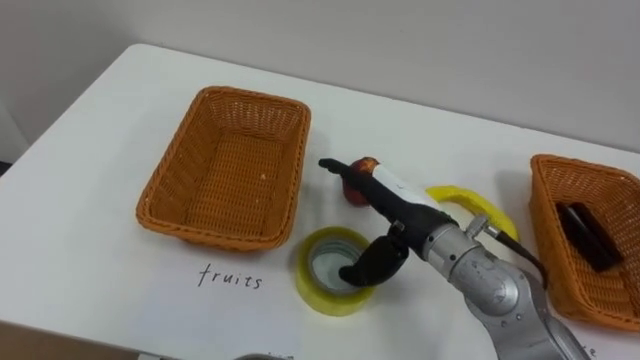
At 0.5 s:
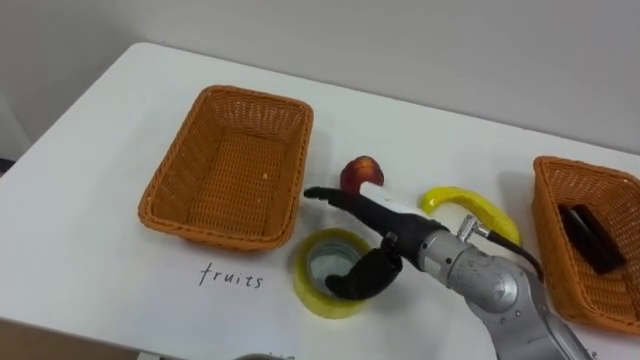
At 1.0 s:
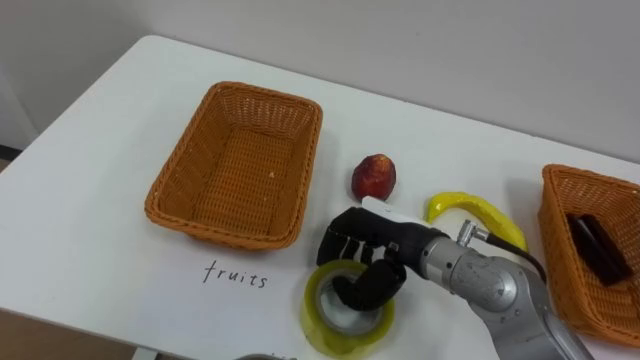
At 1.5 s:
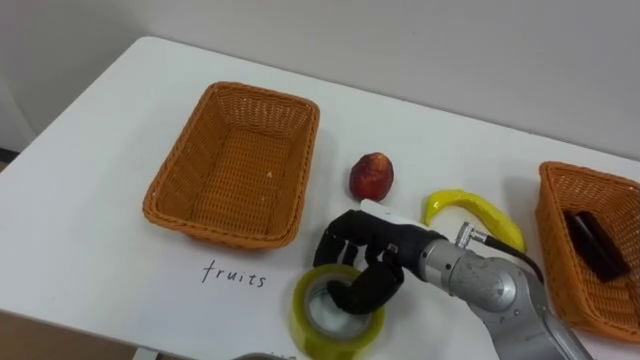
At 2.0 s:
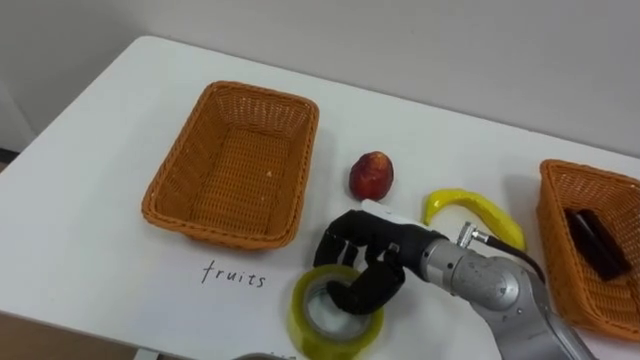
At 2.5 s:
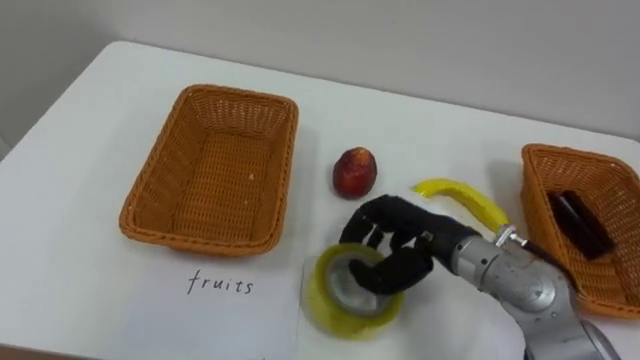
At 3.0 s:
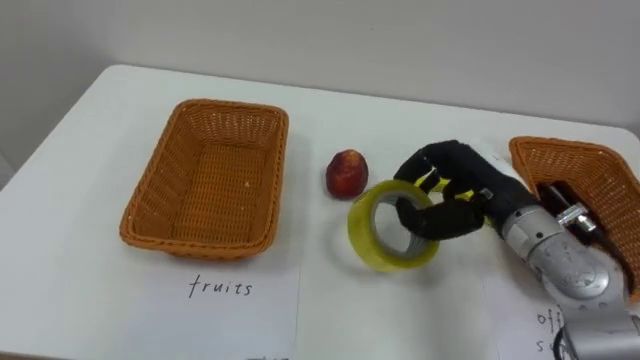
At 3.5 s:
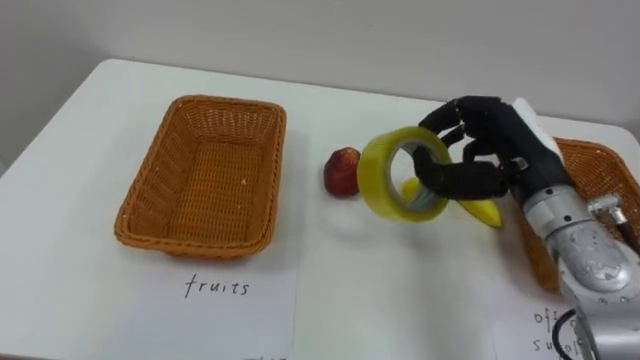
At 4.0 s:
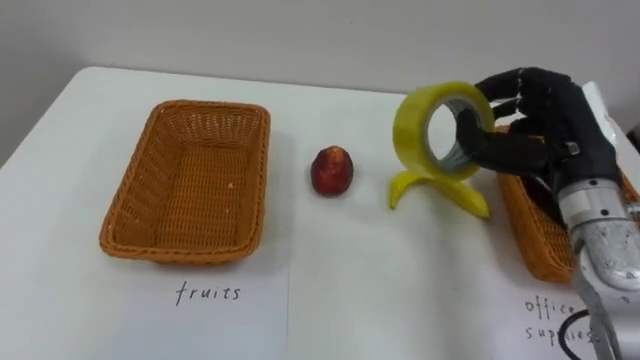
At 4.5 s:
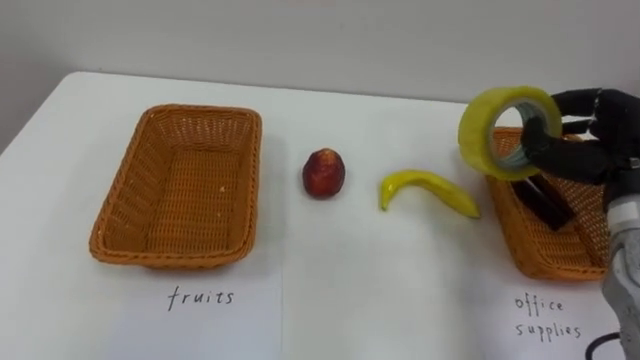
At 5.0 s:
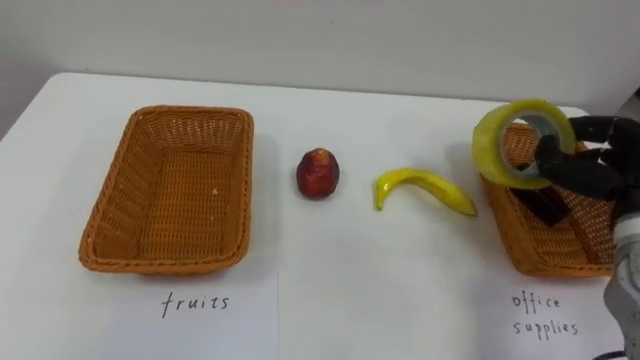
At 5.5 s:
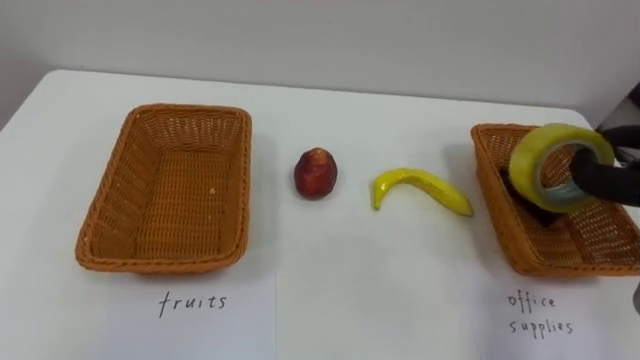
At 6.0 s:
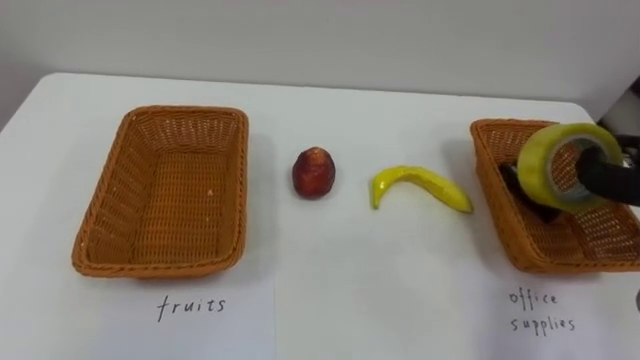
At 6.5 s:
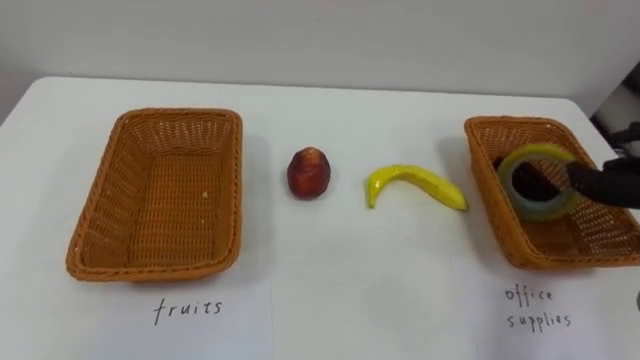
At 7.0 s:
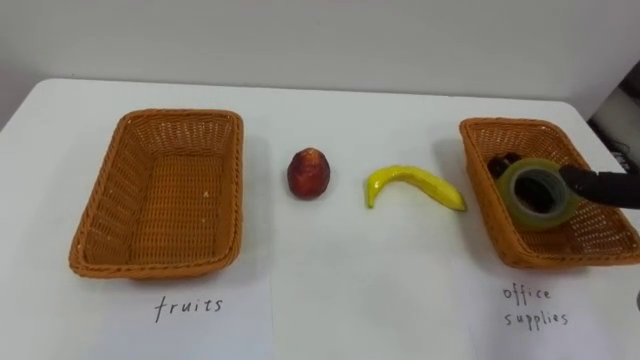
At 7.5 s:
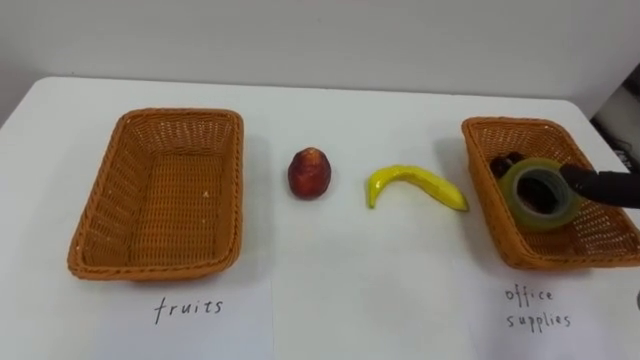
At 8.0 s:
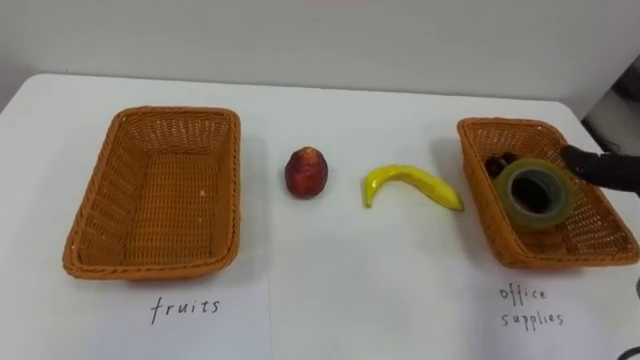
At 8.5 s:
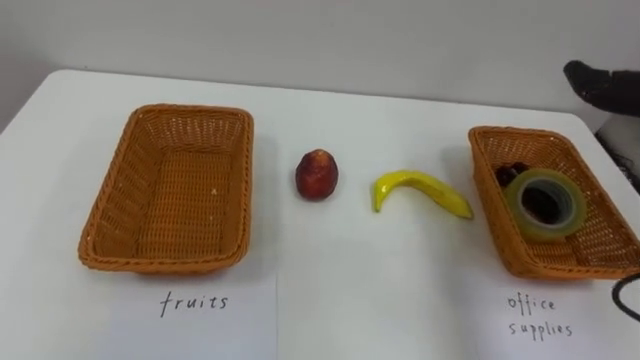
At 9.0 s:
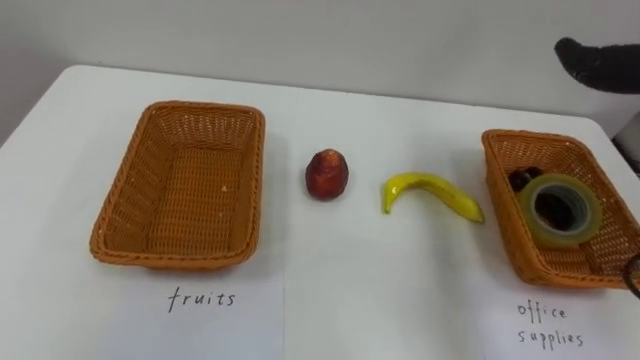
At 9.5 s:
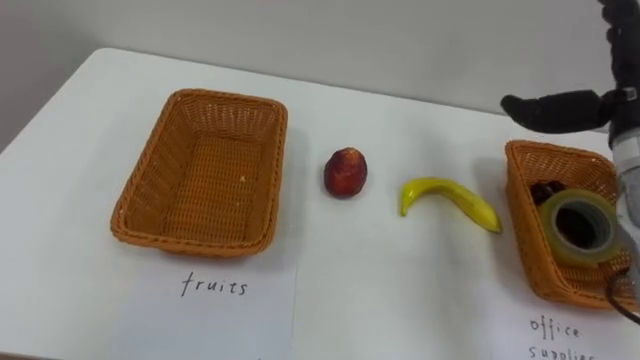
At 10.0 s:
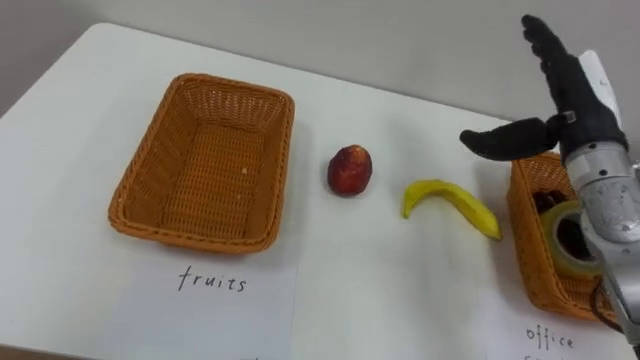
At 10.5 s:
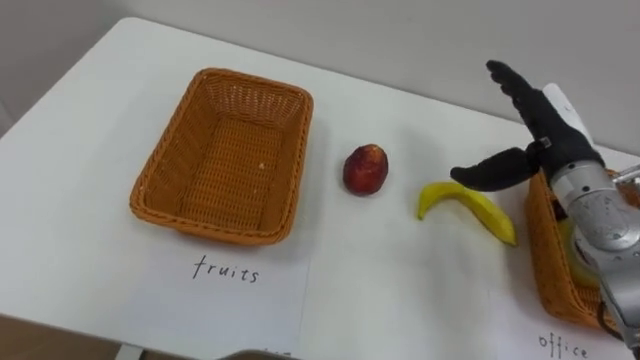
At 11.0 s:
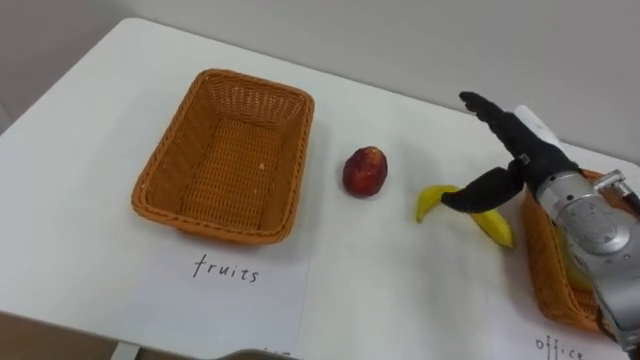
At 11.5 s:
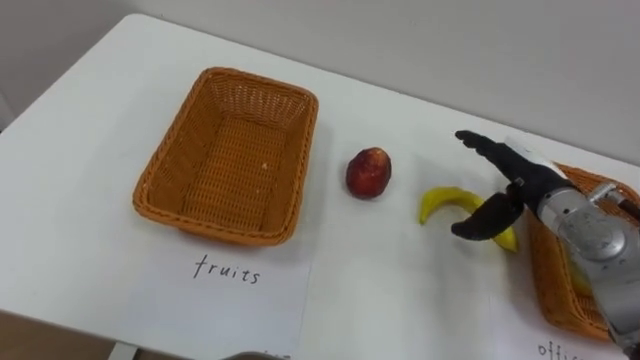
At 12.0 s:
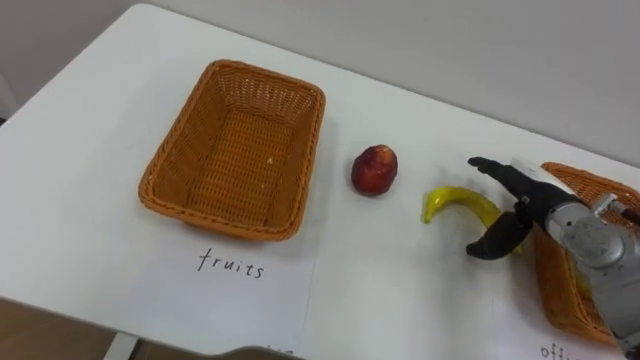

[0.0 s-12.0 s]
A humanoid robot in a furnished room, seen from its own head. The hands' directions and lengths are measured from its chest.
Task of the whole recording: Separate the items on the table and place them into the two baskets.
0.0 to 2.0 s: The right hand closes.
2.0 to 4.0 s: The right hand is displaced to the right and upward by some 20 cm.
10.0 to 12.0 s: The right hand moves downward, some 15 cm.

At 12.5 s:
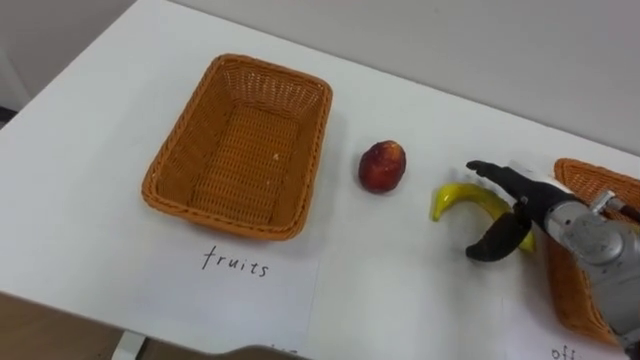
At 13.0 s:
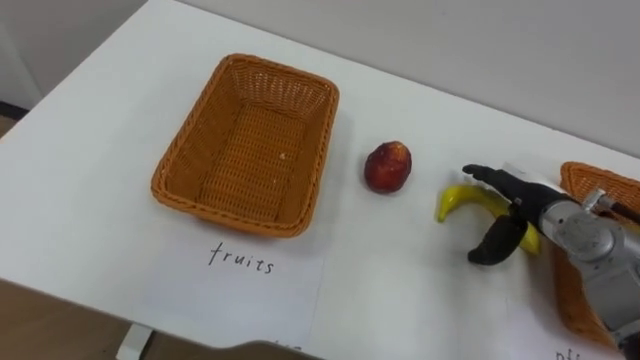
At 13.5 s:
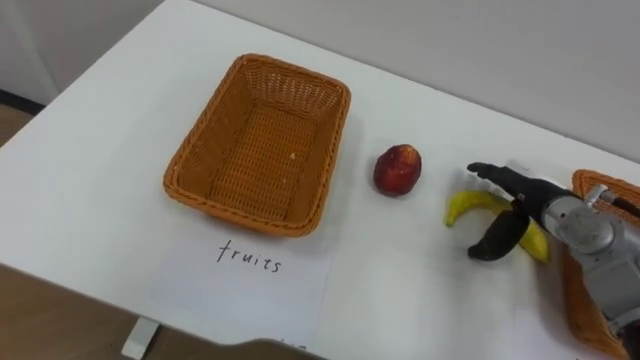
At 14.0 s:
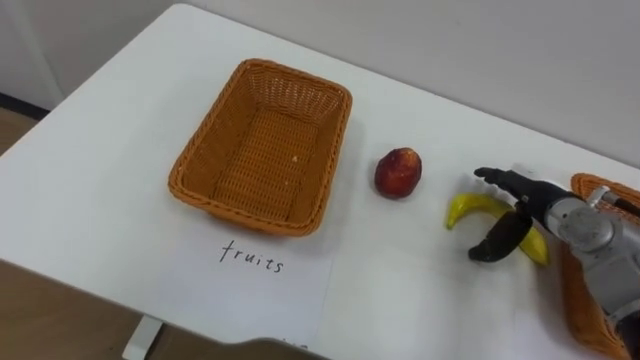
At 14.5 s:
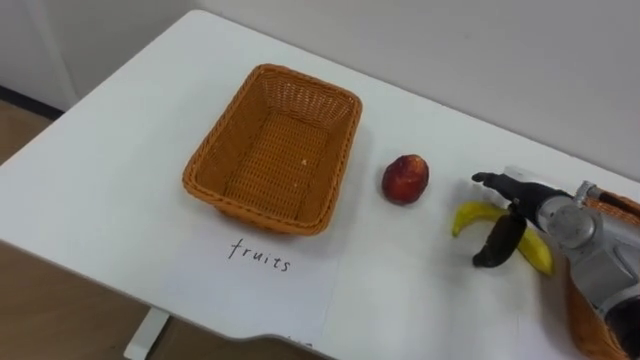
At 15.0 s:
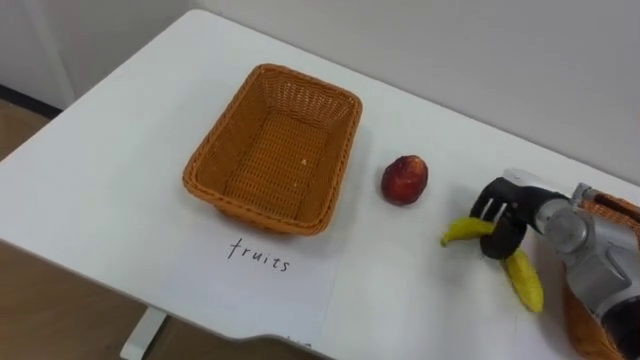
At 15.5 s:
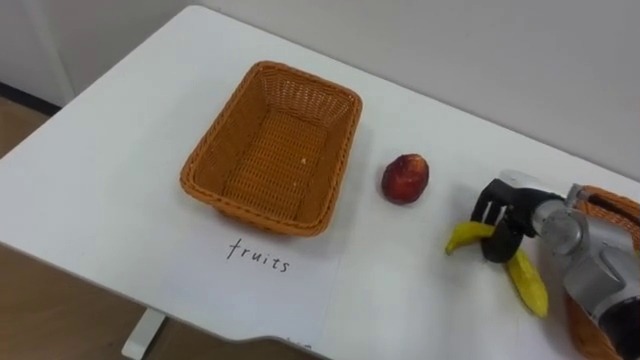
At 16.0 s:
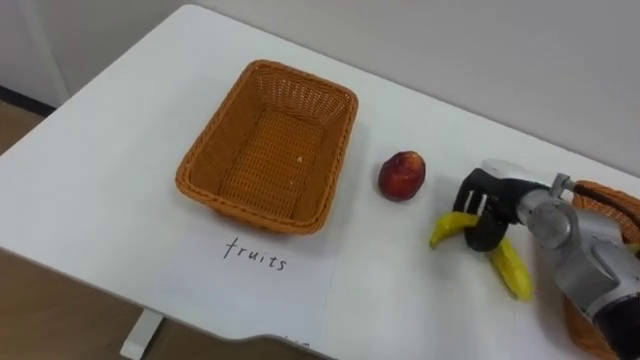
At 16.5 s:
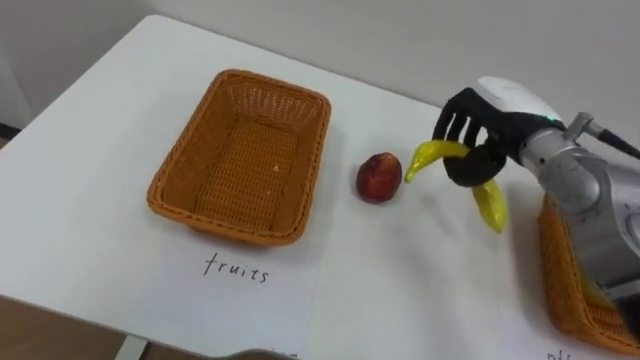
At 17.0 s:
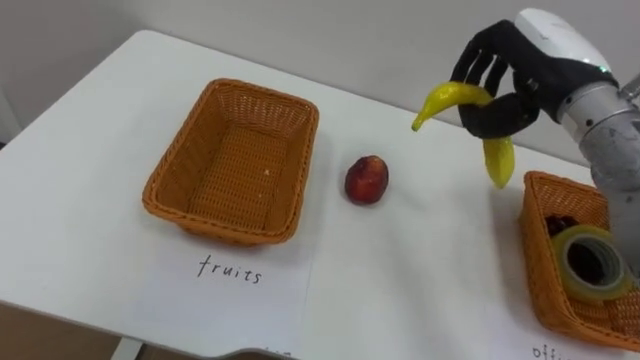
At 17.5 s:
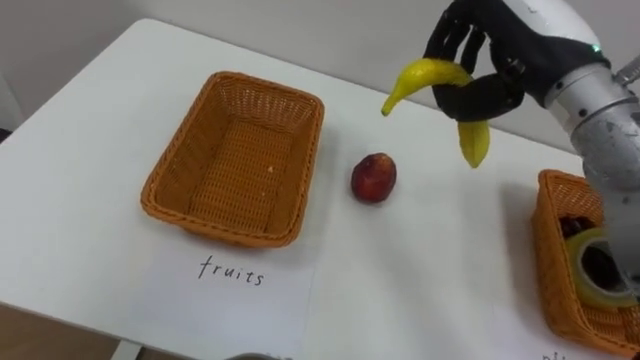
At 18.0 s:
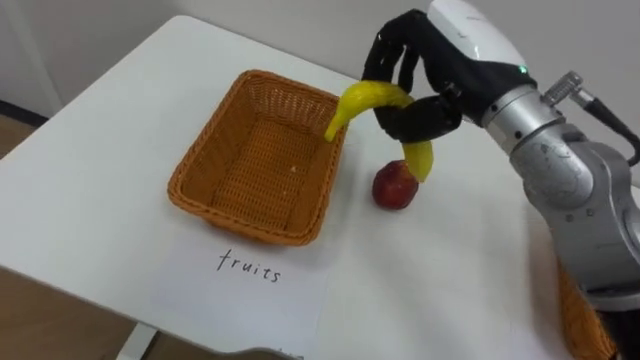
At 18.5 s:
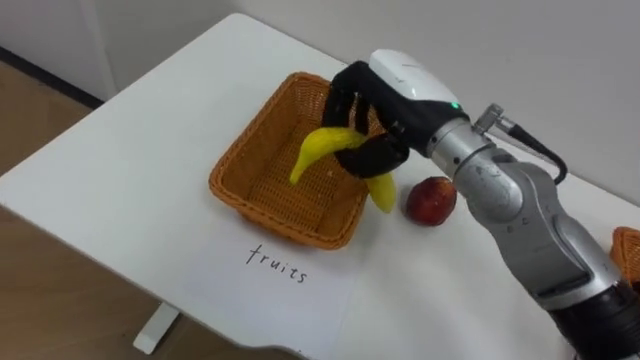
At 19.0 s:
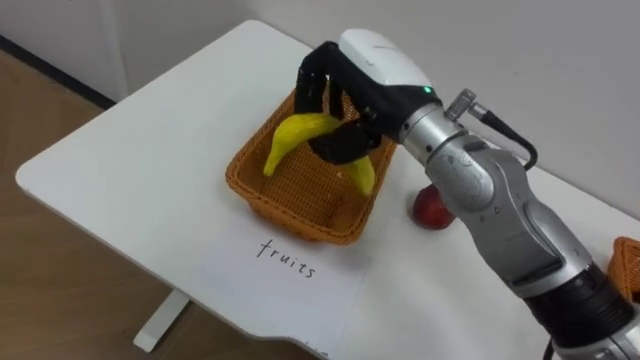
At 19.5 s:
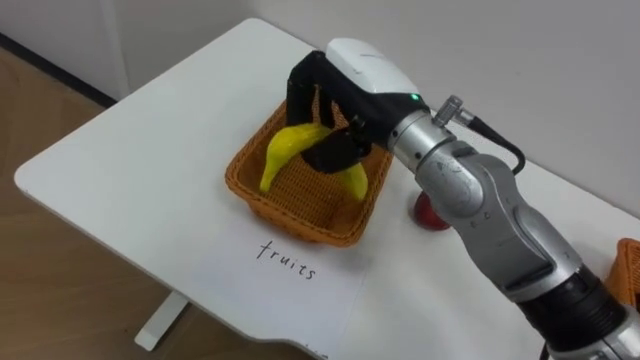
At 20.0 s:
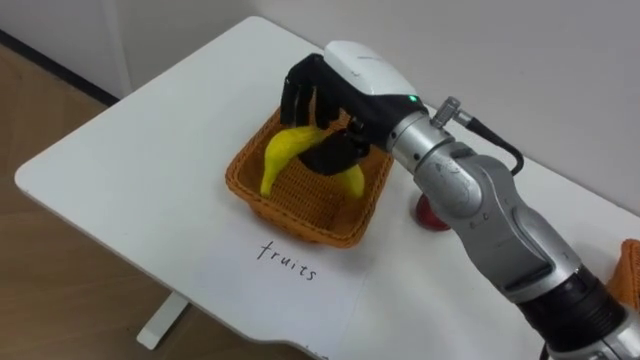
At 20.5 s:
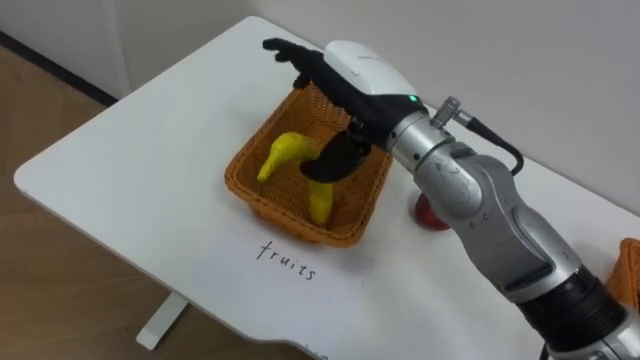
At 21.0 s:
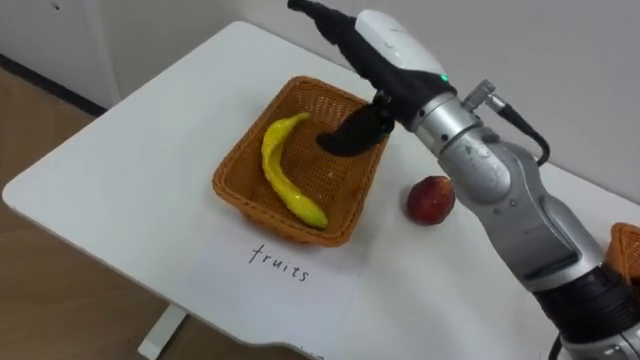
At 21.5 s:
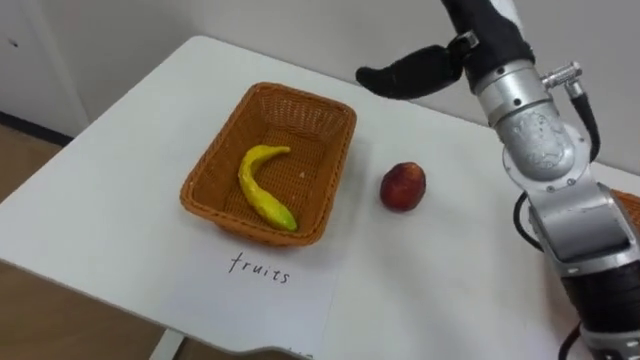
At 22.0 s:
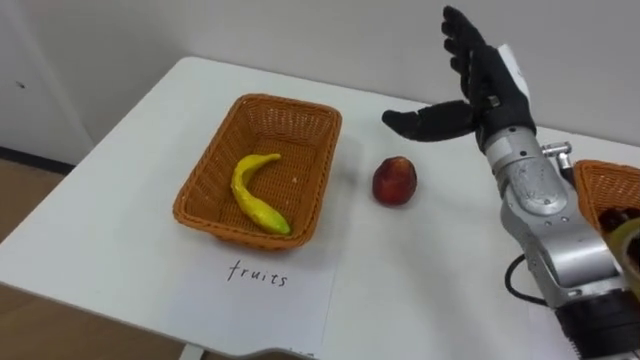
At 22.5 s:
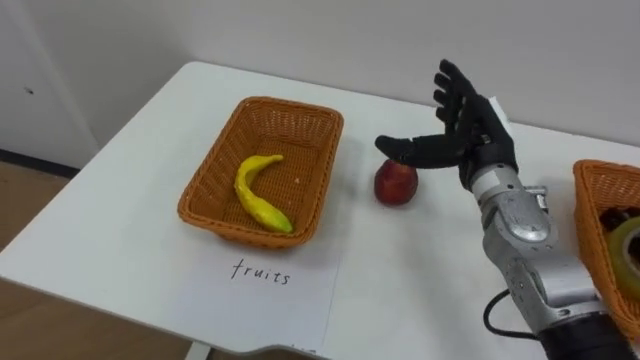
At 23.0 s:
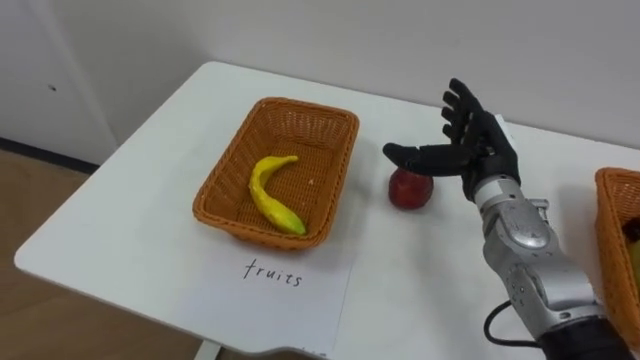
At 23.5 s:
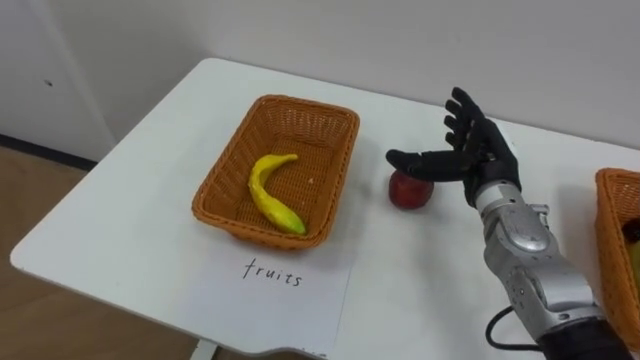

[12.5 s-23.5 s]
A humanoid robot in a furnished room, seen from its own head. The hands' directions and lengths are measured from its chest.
Task of the whole recording: Separate the items on the table and place them into the two baskets.
14.5 to 16.0 s: The right hand closes up.
16.0 to 18.0 s: The right hand is displaced upward and to the left by about 25 cm.
18.0 to 20.0 s: The right hand travels to the left by approximately 10 cm.
20.0 to 21.5 s: The right hand goes some 10 cm to the right and upward, and opens.
21.5 to 23.5 s: The right hand goes roughly 20 cm downward.
